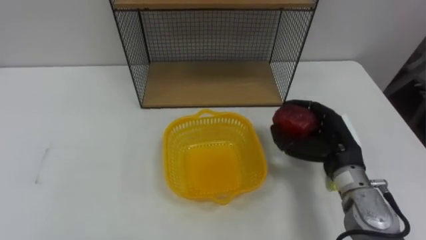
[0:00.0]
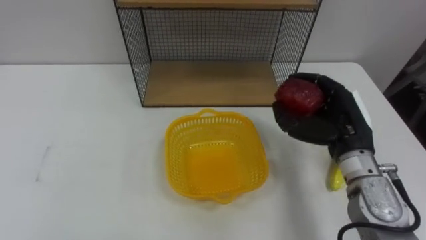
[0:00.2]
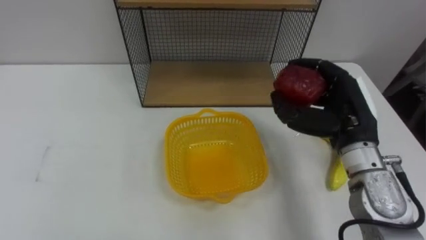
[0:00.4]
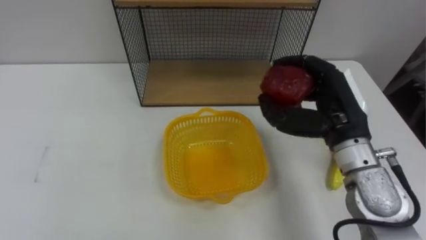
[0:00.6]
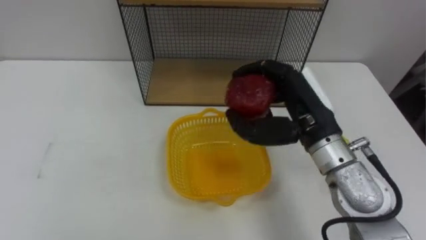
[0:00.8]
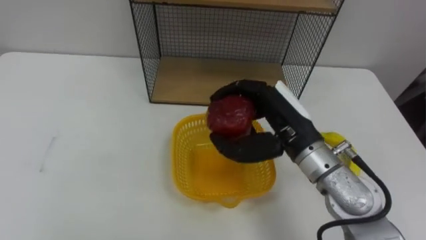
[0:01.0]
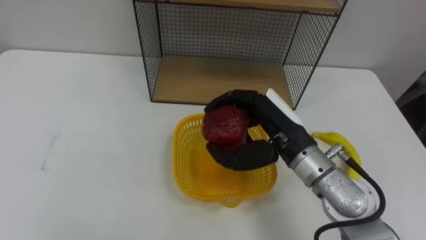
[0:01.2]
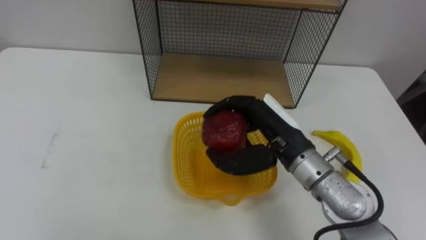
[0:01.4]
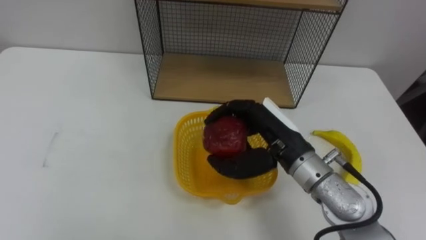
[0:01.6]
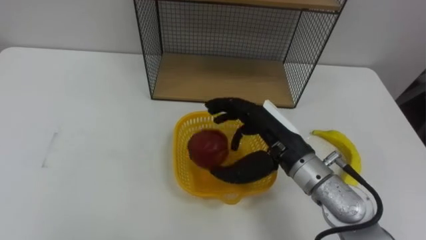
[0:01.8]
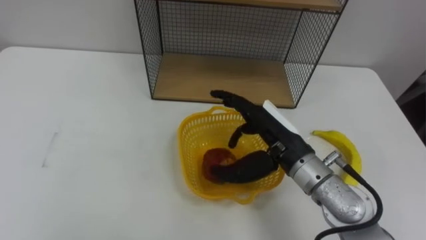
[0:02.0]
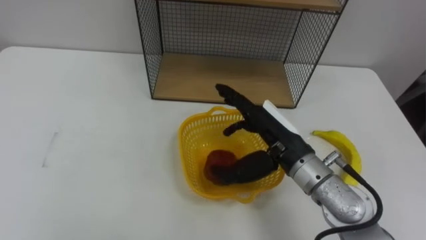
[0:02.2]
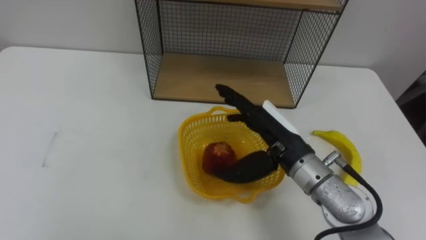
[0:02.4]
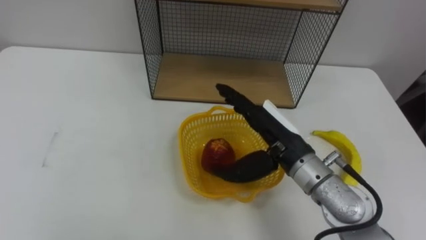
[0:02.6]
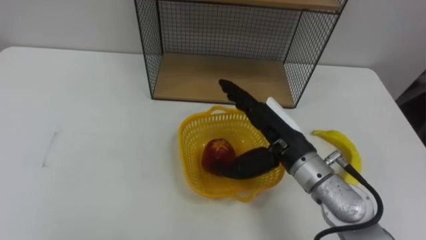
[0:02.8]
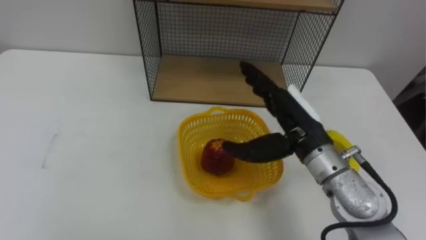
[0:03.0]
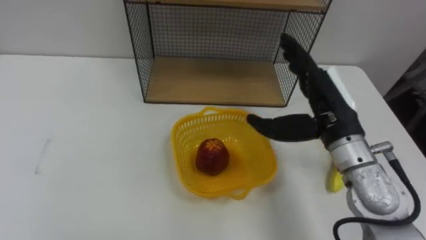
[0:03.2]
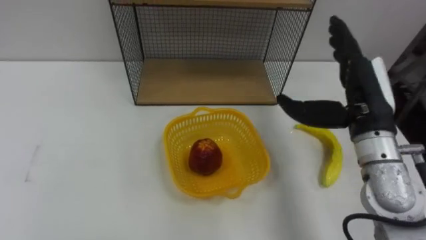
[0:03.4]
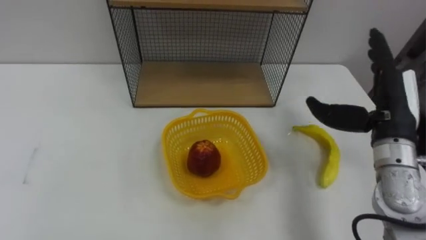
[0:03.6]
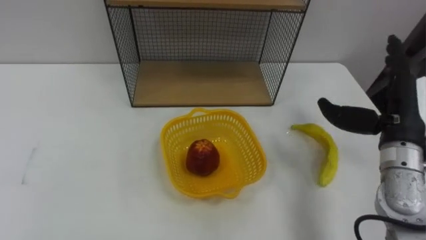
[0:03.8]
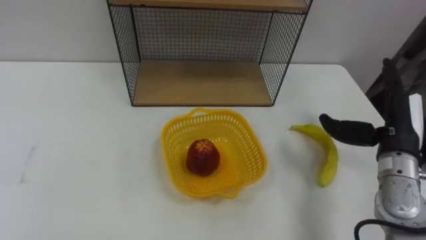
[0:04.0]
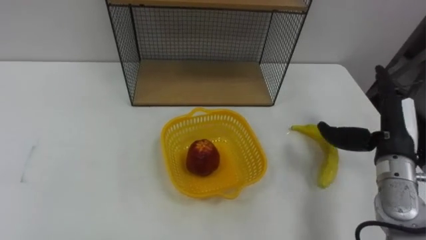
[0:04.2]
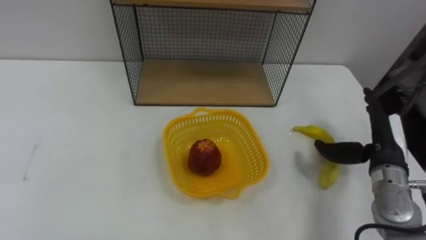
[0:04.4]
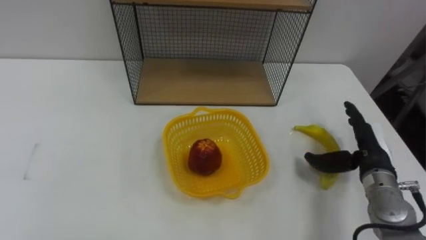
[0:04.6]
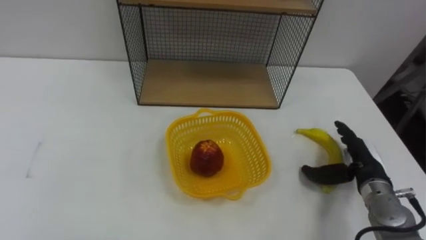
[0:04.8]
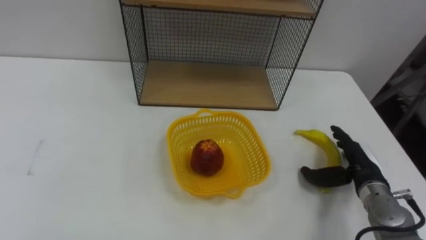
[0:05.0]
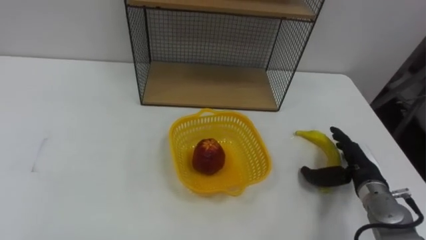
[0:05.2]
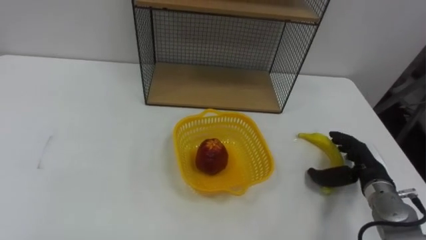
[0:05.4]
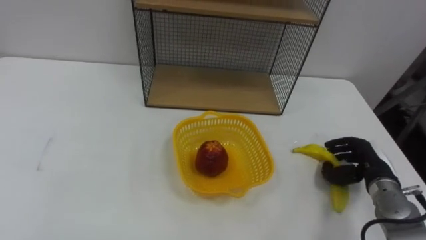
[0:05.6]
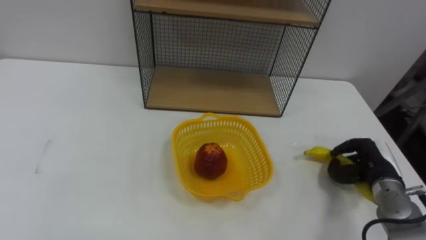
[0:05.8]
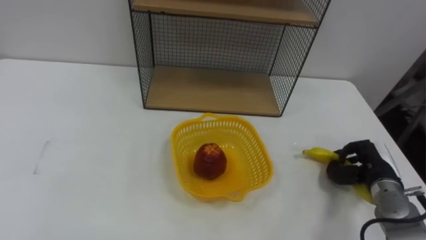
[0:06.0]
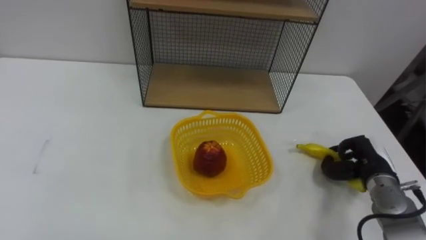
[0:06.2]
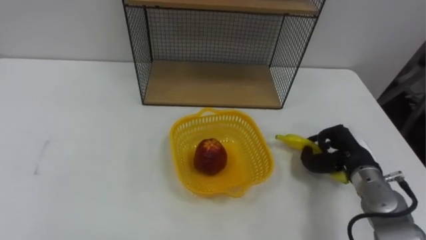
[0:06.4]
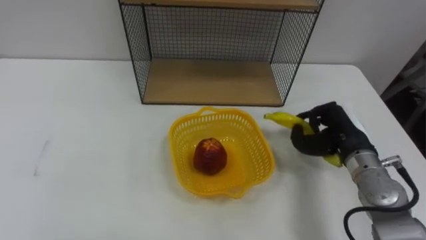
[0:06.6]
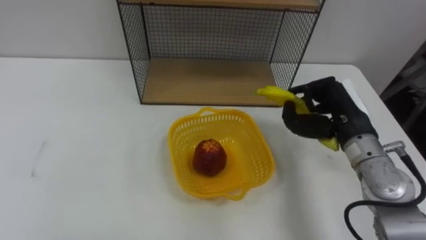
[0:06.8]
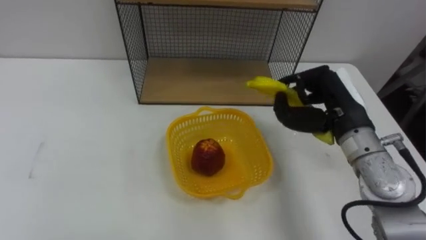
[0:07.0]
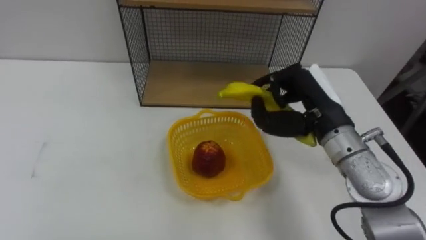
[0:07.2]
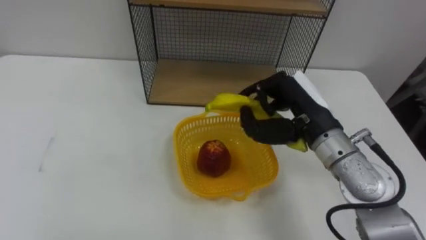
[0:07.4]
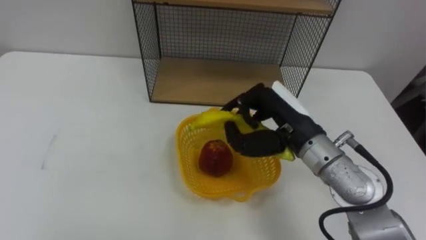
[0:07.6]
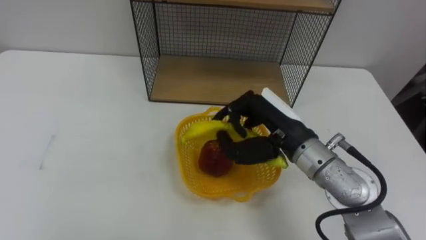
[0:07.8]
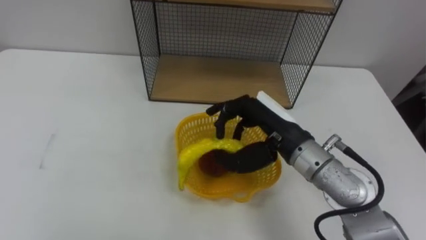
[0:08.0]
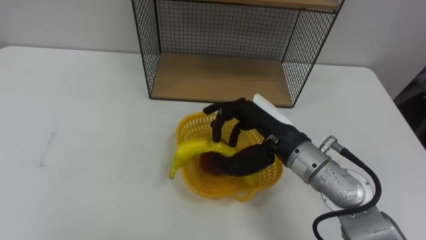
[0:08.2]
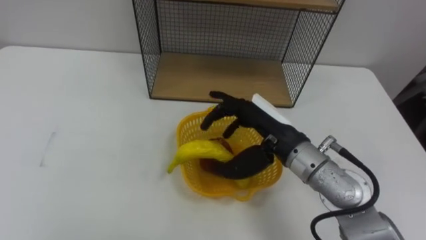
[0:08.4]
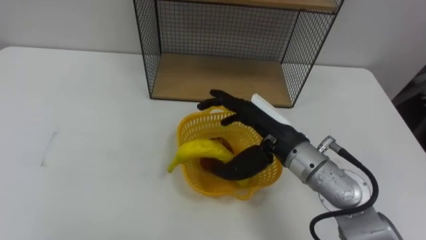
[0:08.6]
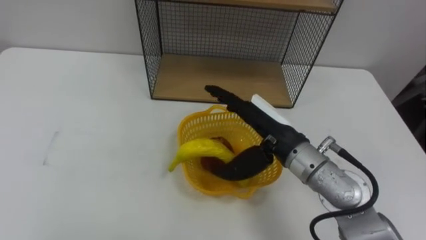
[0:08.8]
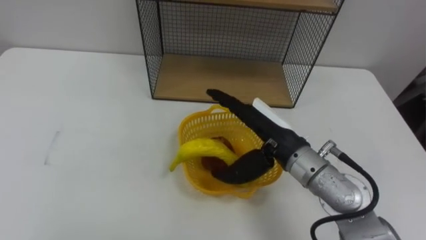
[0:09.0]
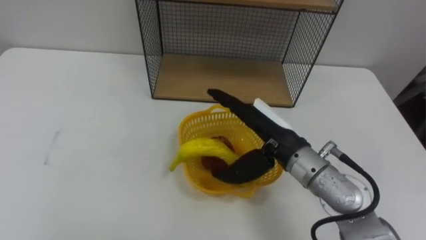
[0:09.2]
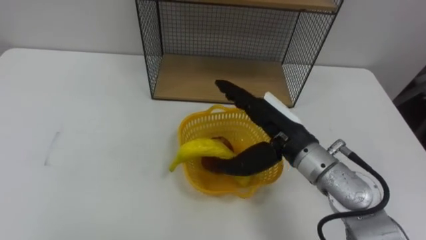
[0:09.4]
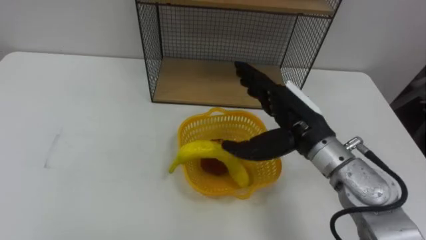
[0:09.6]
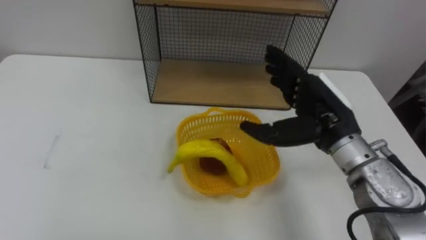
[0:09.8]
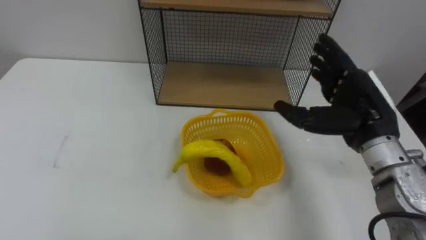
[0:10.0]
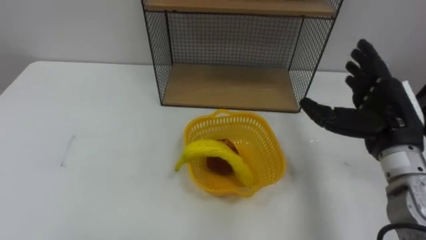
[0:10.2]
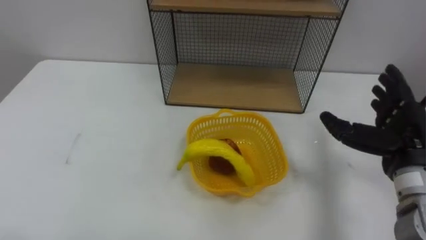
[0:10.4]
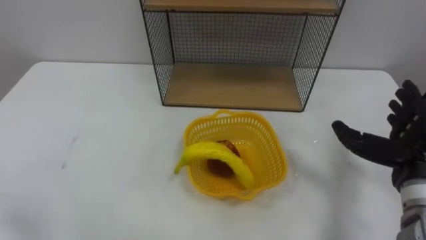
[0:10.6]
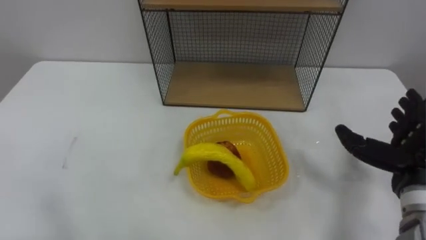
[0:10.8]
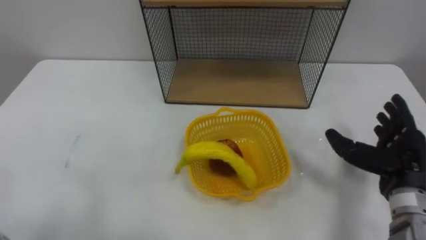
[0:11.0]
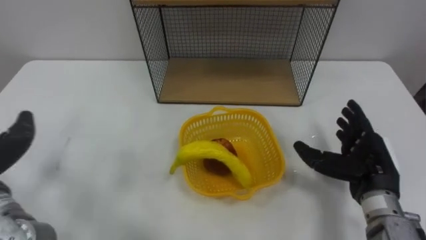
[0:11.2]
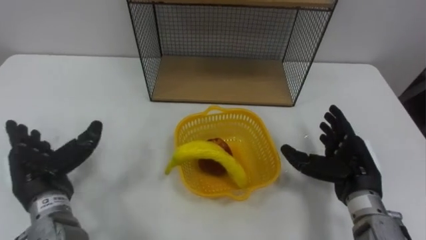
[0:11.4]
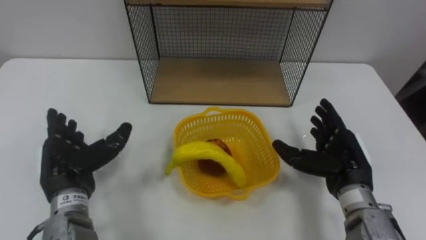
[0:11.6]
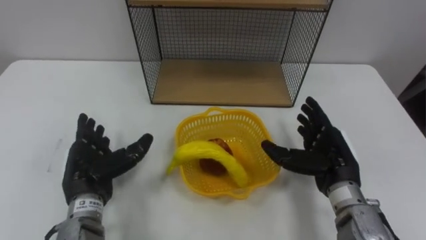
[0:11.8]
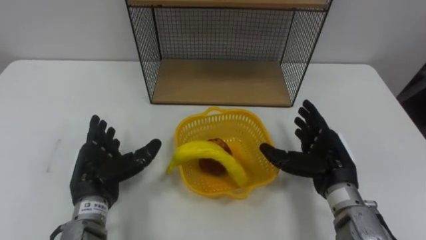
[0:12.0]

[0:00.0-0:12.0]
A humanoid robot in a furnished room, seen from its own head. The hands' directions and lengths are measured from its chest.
Task of the whole recording: Put the fruit on the table into the basket, then place the basket on the shelf.
0:00.0 to 0:01.6: The right hand goes approximately 15 cm to the left and upward.
0:01.6 to 0:03.0: The right hand opens.
0:03.0 to 0:04.4: The right hand travels to the right and downward by about 20 cm.
0:04.4 to 0:06.0: The right hand is displaced downward by some 10 cm, and closes up.
0:06.0 to 0:07.6: The right hand heads to the left and upward, covering some 25 cm.
0:07.6 to 0:09.0: The right hand opens.
0:09.0 to 0:10.4: The right hand shifts roughly 20 cm to the right.
0:10.4 to 0:12.0: The right hand is displaced to the left and downward by approximately 10 cm.

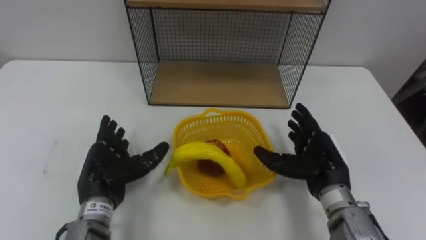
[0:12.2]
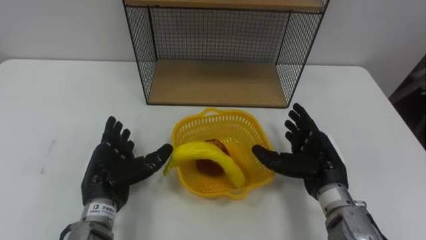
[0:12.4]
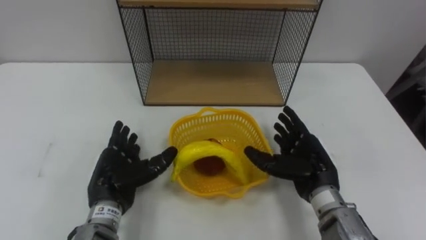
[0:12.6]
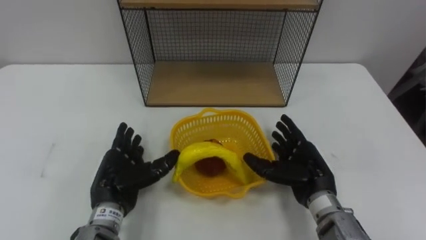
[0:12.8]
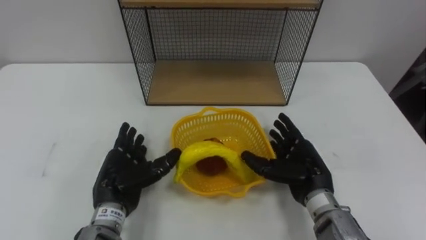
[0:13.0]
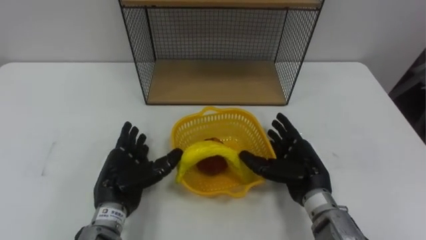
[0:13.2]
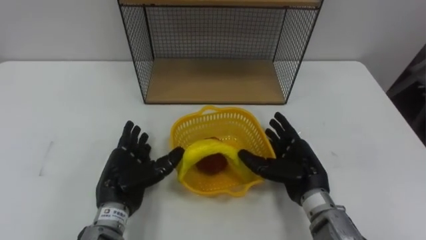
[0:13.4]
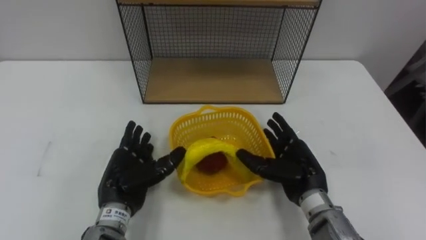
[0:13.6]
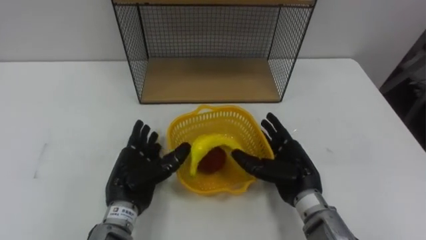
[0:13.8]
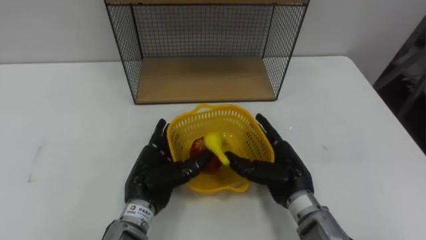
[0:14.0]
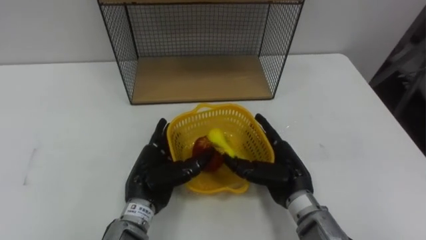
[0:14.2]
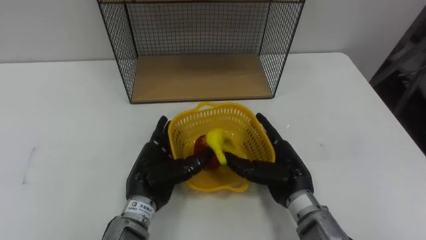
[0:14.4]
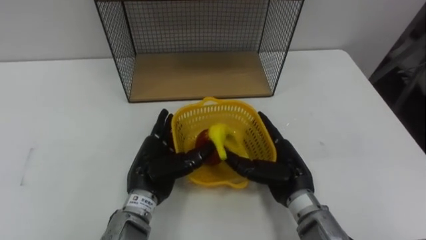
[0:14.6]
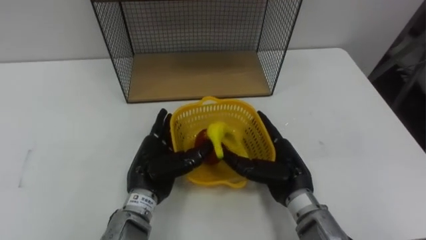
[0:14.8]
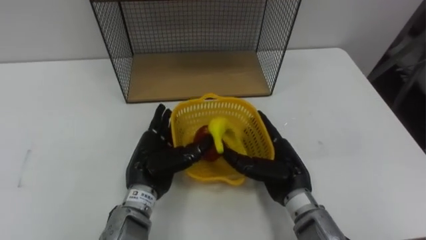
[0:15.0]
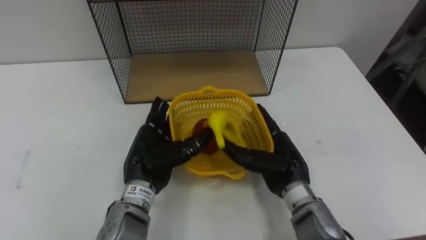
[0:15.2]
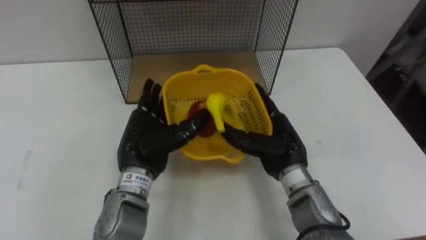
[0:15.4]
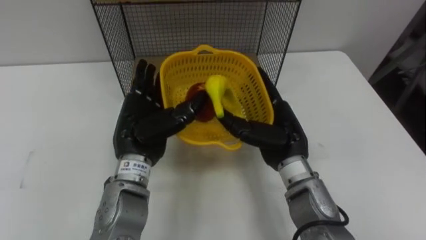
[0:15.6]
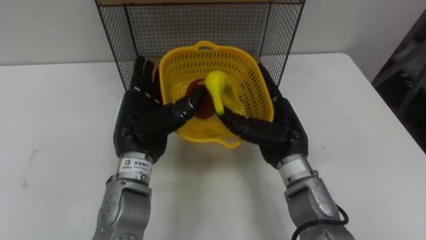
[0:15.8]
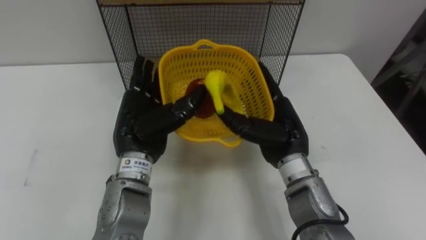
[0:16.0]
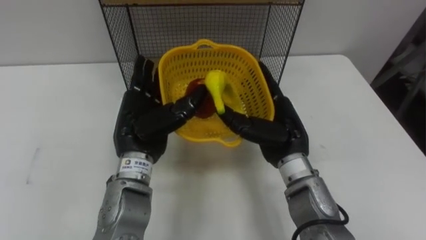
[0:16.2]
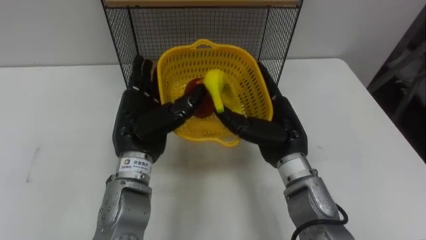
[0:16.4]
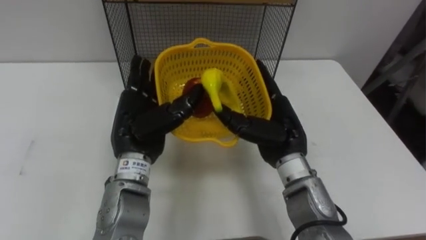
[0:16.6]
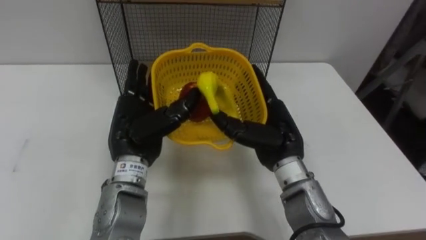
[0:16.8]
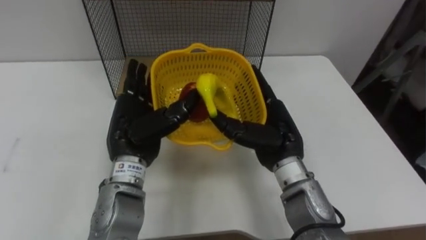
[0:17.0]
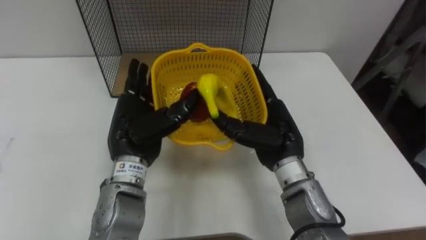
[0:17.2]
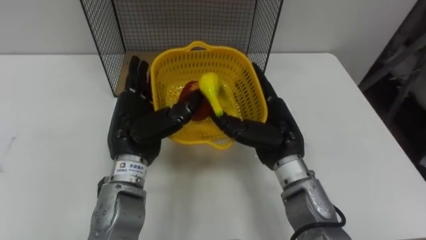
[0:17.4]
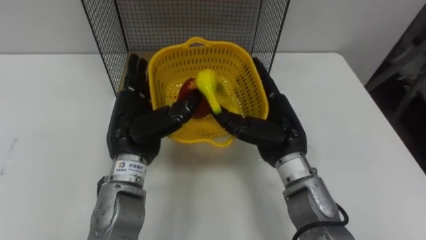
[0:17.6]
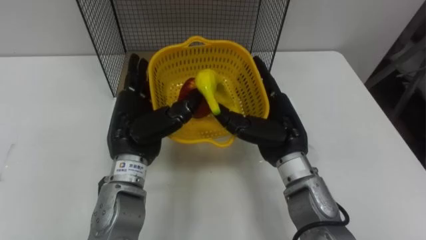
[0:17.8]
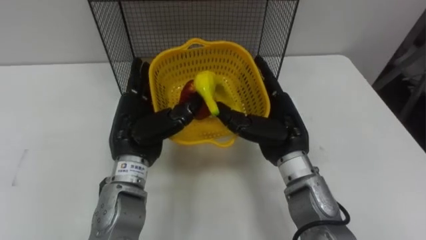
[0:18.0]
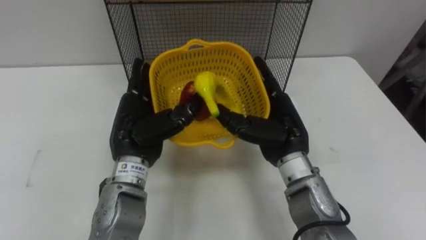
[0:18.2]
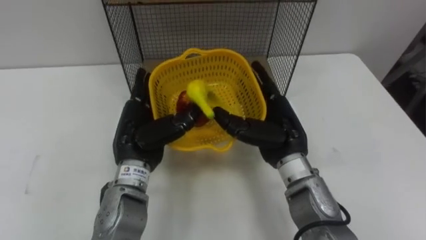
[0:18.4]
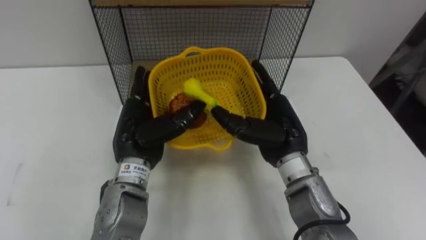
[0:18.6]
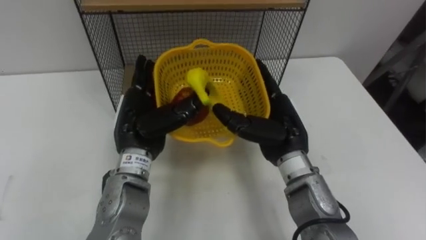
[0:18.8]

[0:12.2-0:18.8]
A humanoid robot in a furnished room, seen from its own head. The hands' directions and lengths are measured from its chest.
Task of the whole recording: Put the fruit on the table into the basket, then place the basket on the shelf.
0:12.2 to 0:13.8: The left hand is displaced to the right by approximately 5 cm, while the right hand moves to the left, approximately 5 cm.
0:13.8 to 0:15.4: The left hand is displaced upward by about 5 cm. Meanwhile the right hand moves roughly 5 cm.
